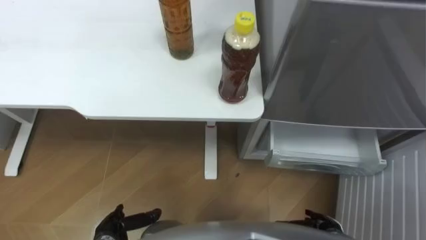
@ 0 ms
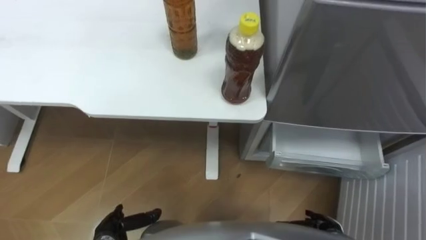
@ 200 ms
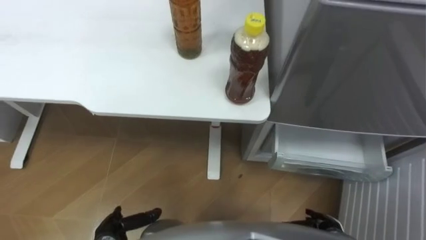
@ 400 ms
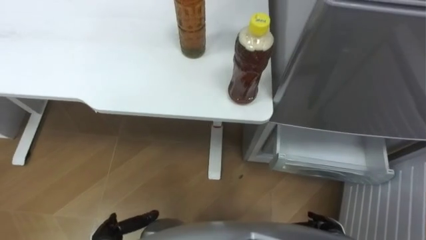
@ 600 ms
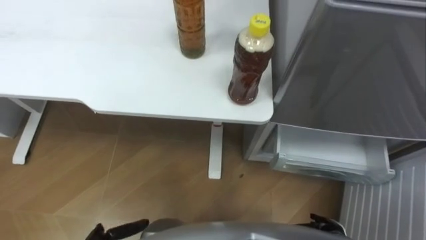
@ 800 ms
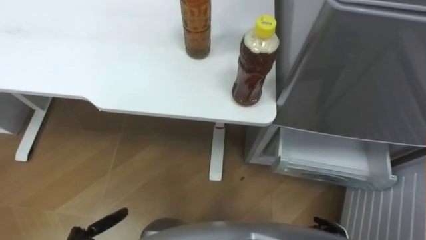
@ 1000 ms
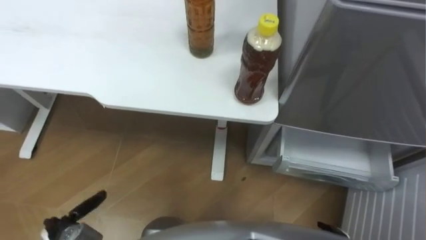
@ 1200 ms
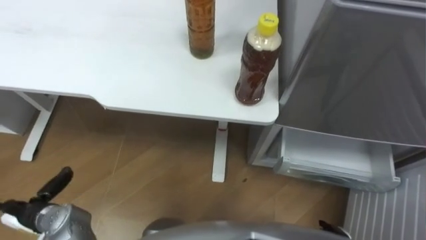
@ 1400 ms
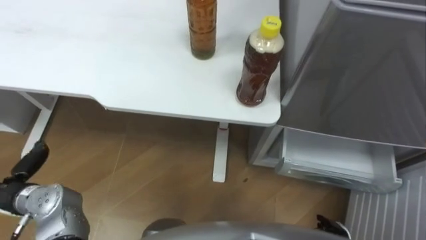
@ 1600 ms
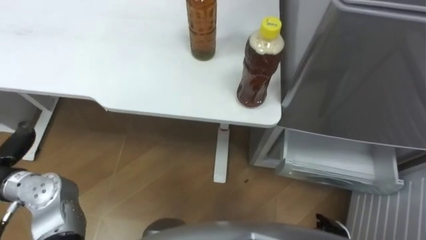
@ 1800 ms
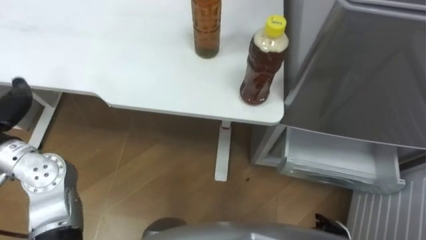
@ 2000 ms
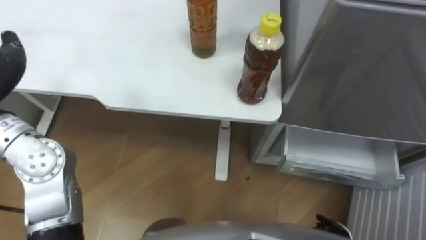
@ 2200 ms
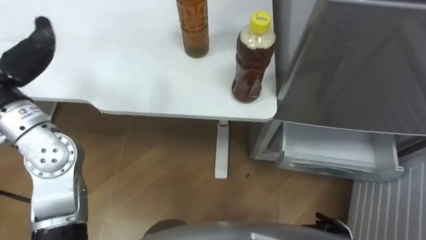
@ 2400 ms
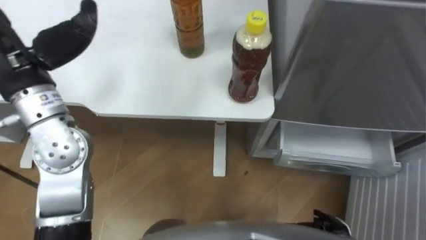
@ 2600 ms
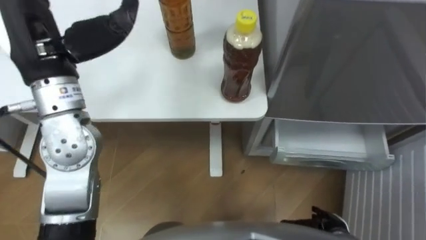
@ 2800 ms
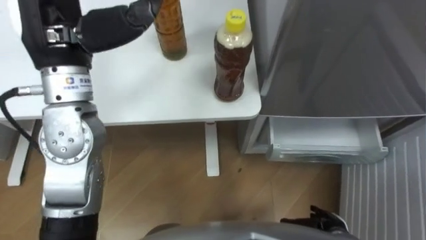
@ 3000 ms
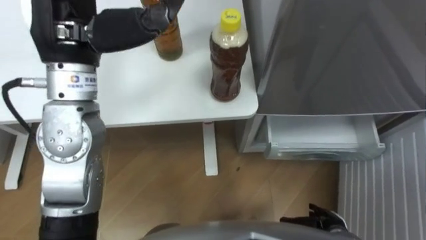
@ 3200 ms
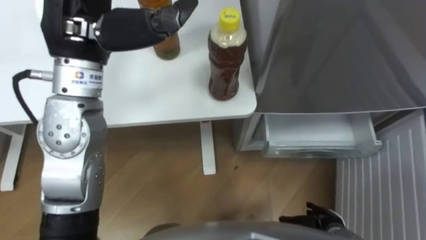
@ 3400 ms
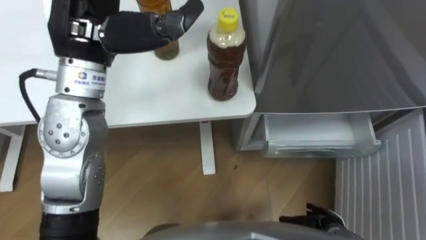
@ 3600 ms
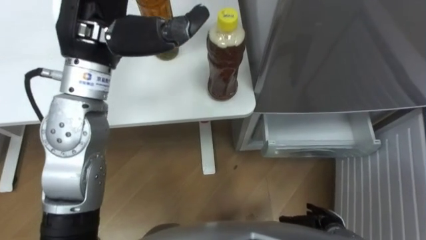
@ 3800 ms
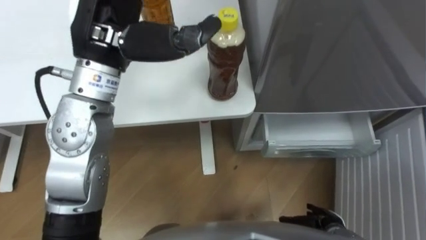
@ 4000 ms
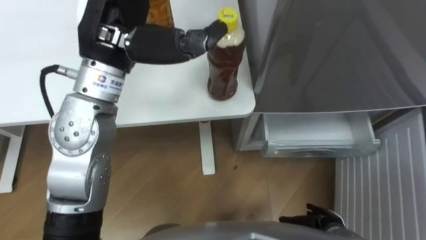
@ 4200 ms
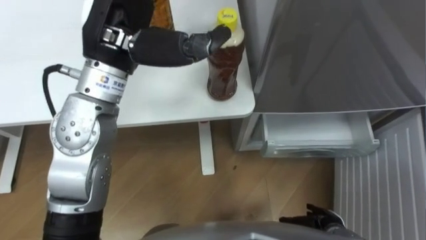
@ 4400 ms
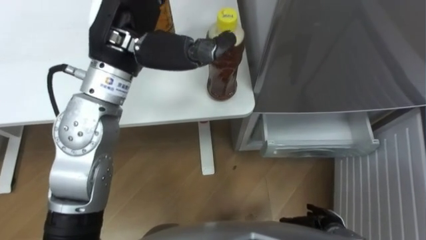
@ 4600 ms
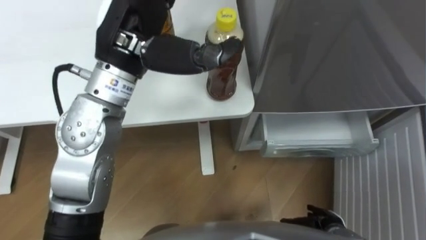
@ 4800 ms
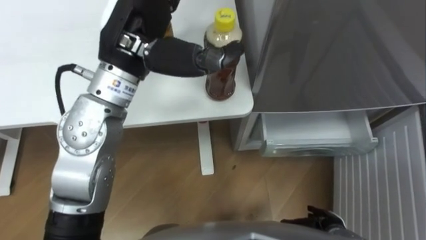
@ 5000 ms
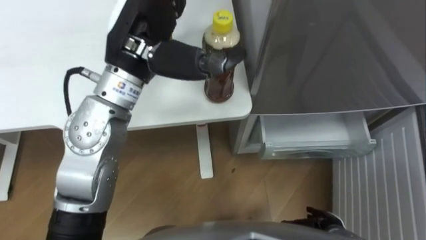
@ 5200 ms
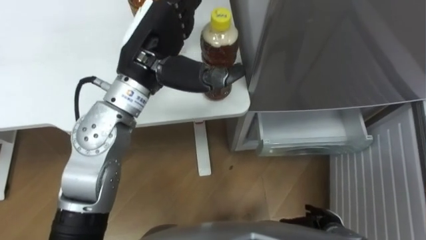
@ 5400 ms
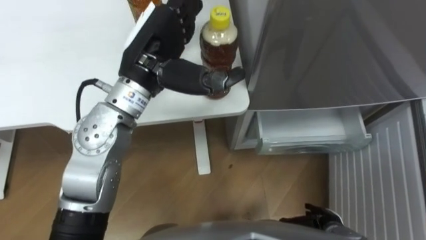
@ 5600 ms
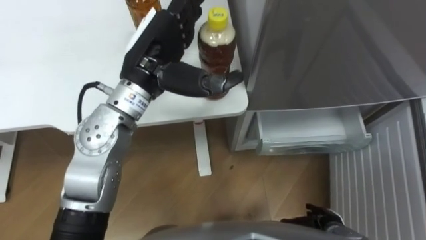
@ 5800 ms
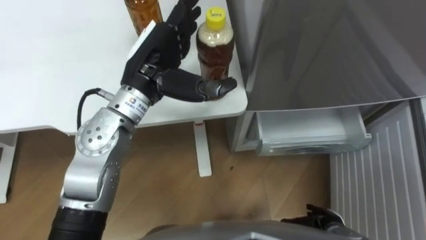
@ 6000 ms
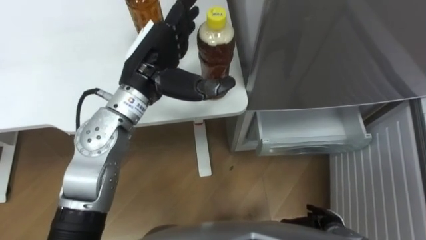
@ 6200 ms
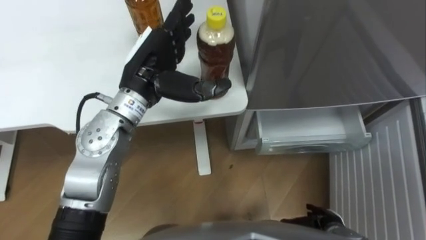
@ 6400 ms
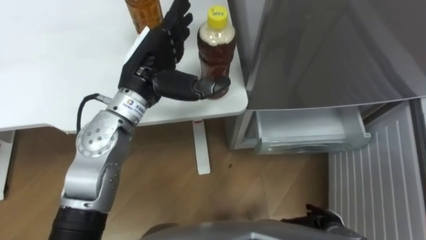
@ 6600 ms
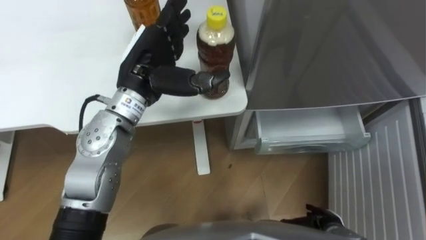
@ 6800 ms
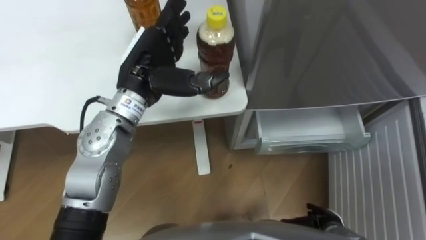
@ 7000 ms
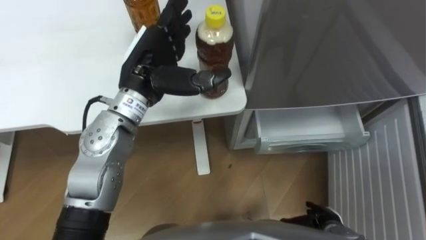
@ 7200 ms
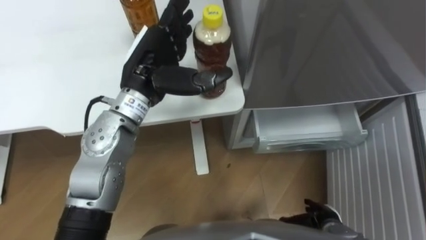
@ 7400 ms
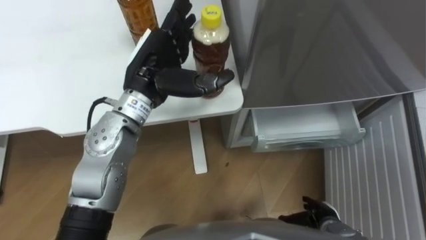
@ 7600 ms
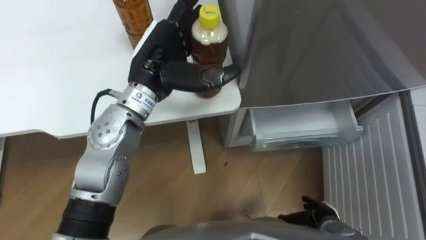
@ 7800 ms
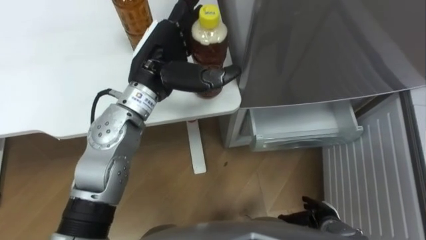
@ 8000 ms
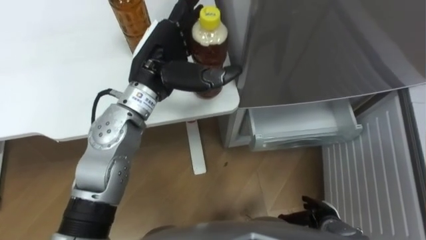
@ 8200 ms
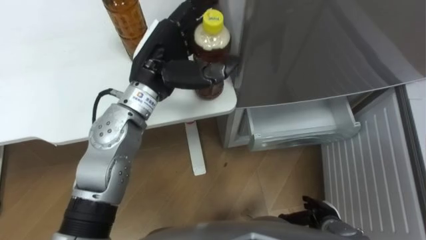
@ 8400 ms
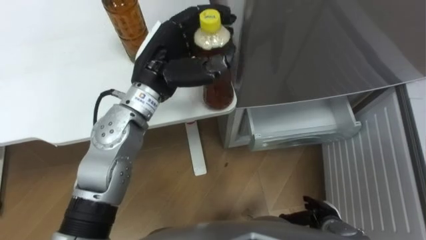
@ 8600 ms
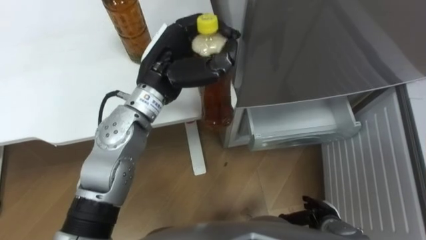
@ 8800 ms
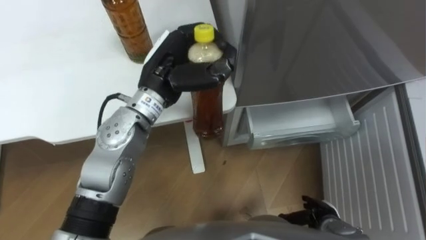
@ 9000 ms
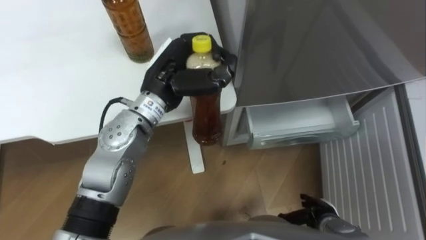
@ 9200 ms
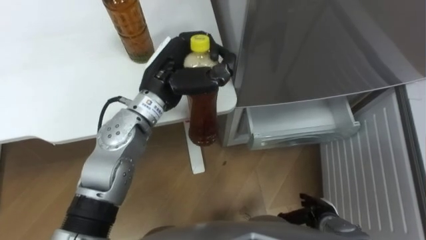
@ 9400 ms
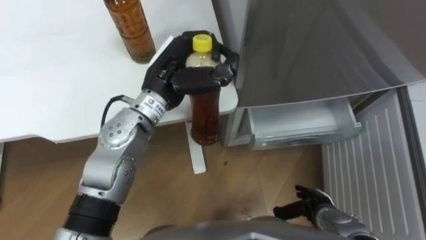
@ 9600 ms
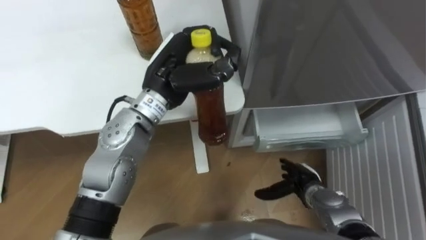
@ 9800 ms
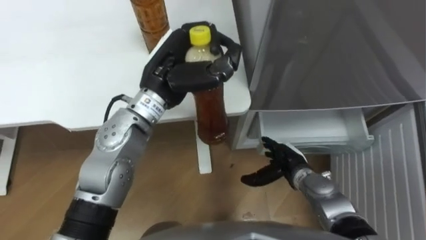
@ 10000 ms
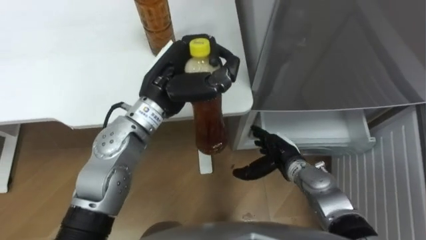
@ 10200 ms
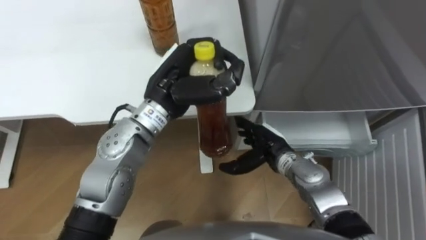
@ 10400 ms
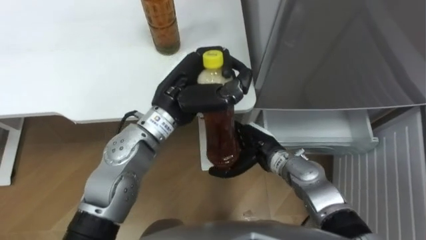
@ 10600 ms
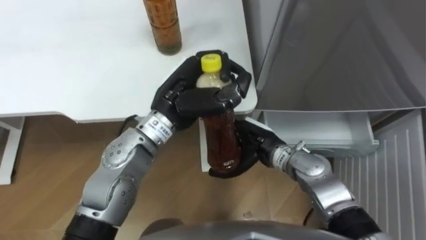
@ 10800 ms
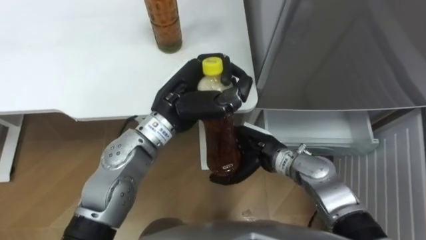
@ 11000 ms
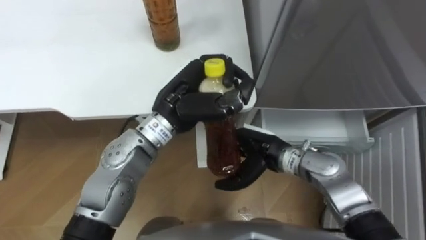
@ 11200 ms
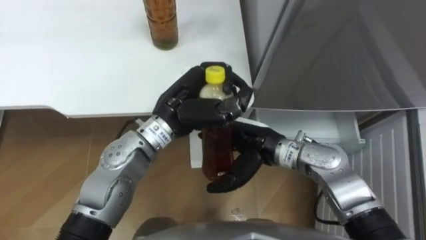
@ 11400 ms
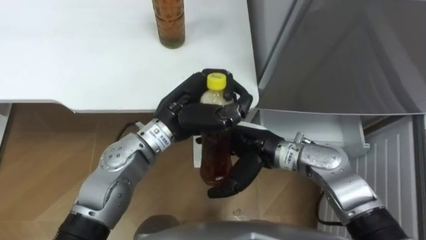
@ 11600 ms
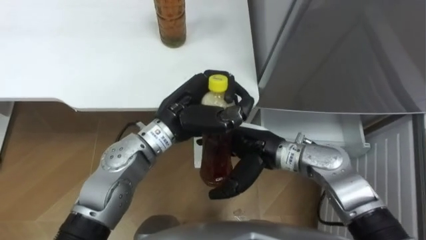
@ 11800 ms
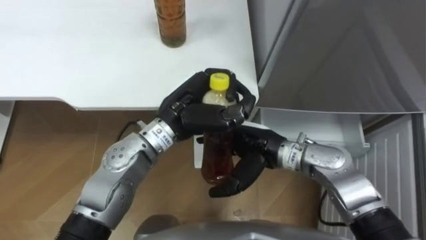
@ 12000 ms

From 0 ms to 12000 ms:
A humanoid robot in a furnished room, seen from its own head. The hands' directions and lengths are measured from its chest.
Task of the whole recording: Place the drink on the table on the bottom shelf of the refrigerator, then close the drawer and the refrigerator door.
From 3000 ms to 4400 ms: The left hand shifts about 5 cm to the right.
From 4400 ms to 6000 ms: The left hand moves downward, approximately 10 cm.
From 7600 ms to 9000 ms: The left hand closes up.
From 9000 ms to 10400 ms: The right hand heads forward, to the left and upward, covering roughly 20 cm.
From 10400 ms to 12000 ms: The right hand heads upward, covering about 10 cm.

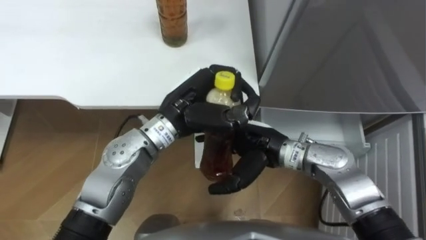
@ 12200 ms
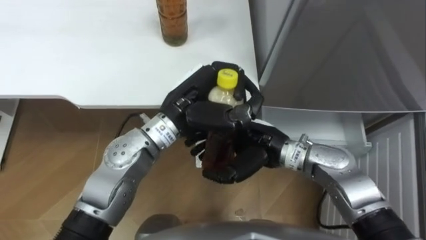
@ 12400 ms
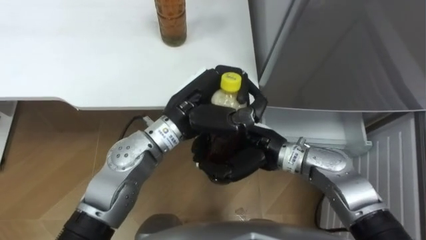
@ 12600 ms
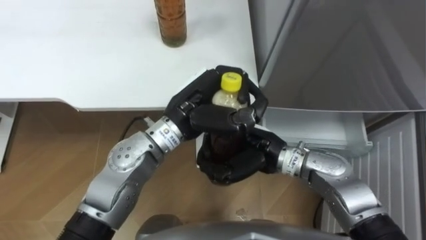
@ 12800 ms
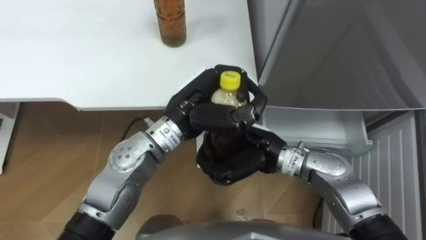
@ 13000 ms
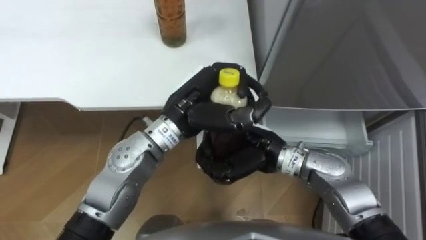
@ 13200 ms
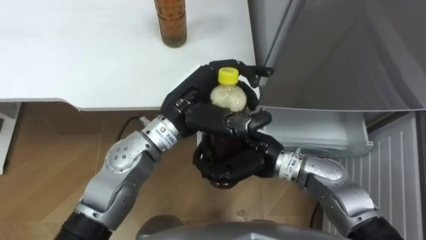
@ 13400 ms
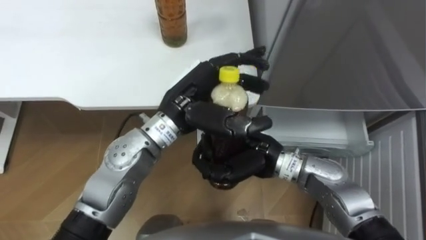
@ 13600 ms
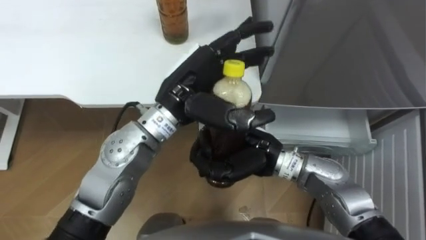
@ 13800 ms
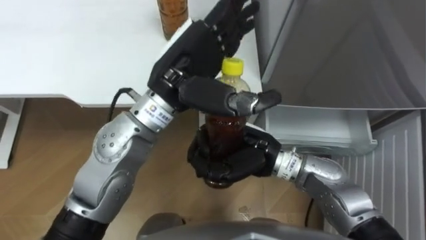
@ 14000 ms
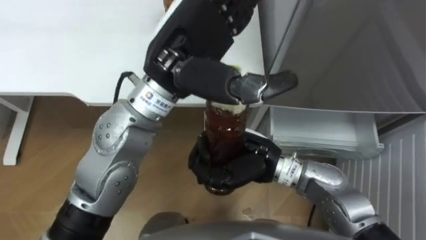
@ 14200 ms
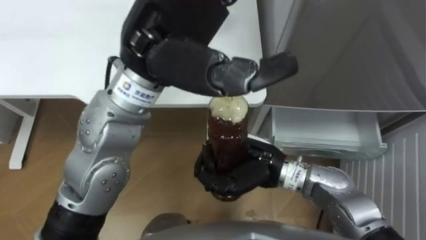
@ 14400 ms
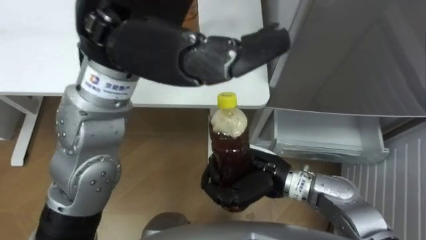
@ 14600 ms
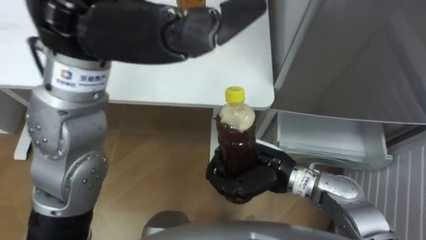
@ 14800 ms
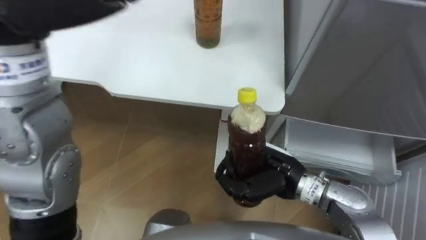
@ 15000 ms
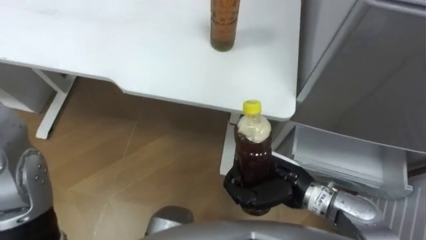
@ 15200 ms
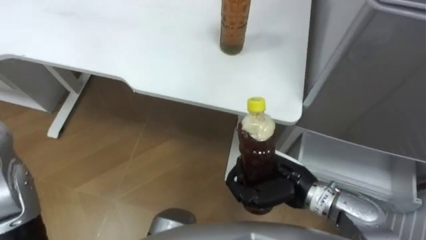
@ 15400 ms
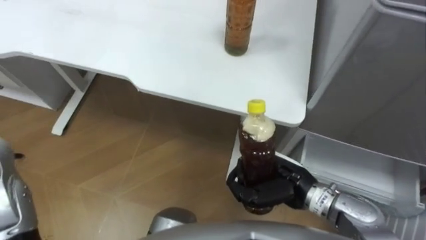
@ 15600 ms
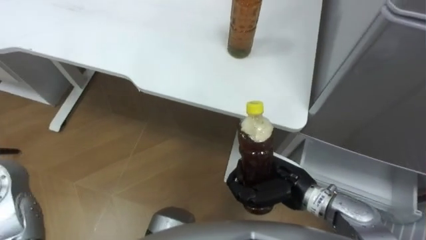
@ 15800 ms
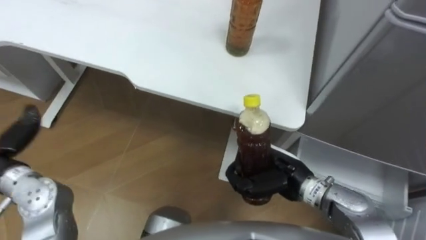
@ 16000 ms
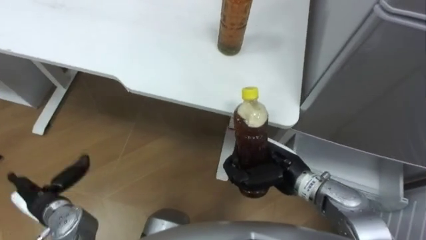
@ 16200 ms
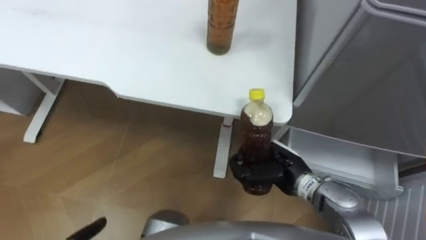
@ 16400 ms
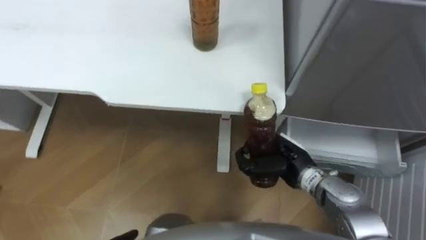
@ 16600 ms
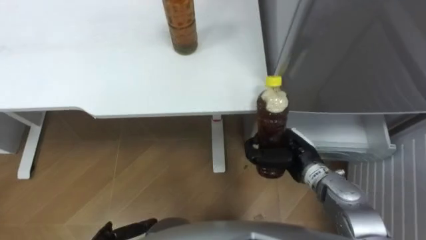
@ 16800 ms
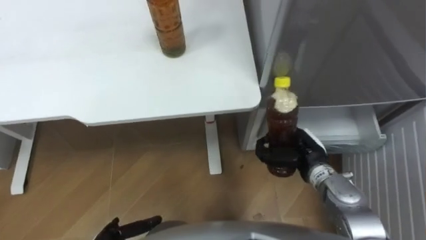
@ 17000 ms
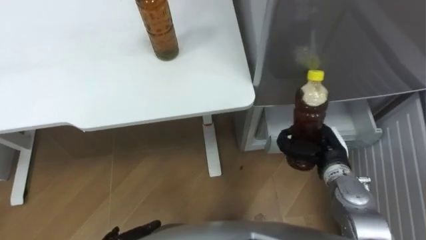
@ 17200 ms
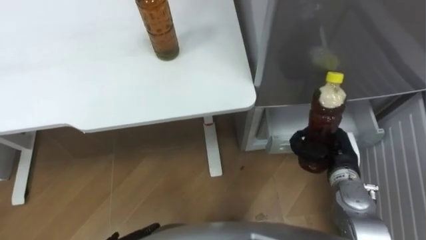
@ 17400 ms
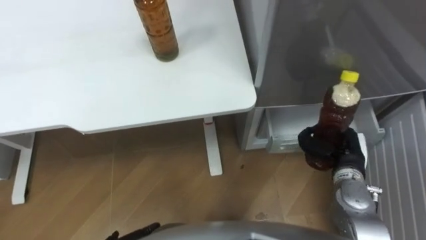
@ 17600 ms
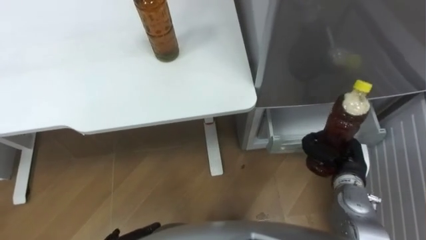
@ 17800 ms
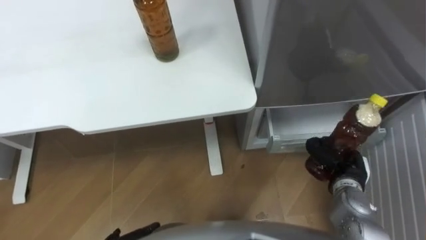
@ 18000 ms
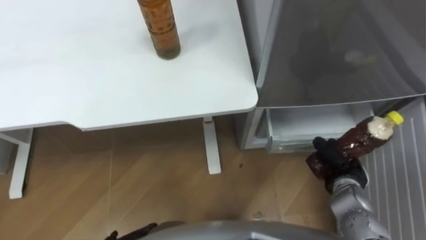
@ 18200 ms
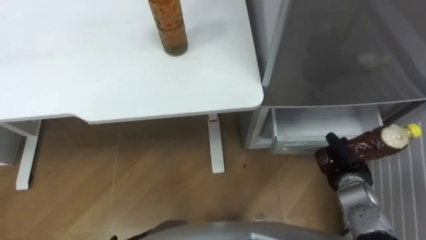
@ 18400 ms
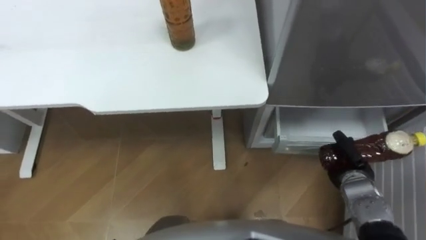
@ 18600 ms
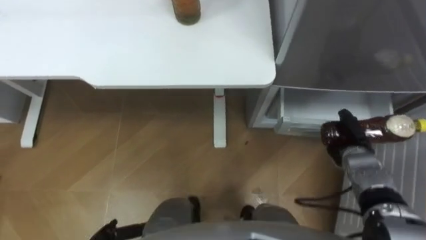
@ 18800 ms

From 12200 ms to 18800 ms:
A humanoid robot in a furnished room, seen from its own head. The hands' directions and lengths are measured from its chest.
Task of the whole recording: Place the drink on the table on the bottom shelf of the refrigerator, then close the drawer and the refrigerator door.
From 12200 ms to 13800 ms: The right hand closes up, while the left hand opens.
From 13800 ms to 15400 ms: The right hand heads to the right and downward, covering approximately 10 cm.
From 15400 ms to 17200 ms: The right hand is displaced to the right and forward by roughly 10 cm.
From 17200 ms to 18800 ms: The right hand goes approximately 10 cm to the right and downward.
